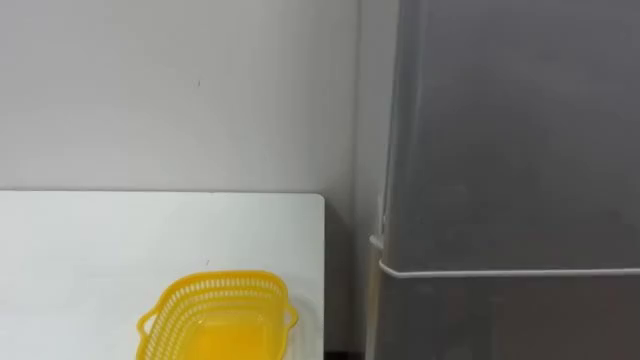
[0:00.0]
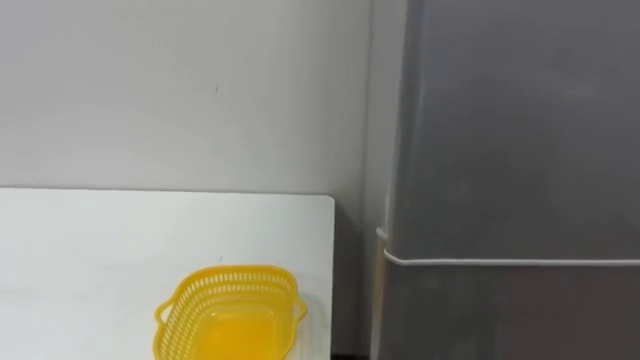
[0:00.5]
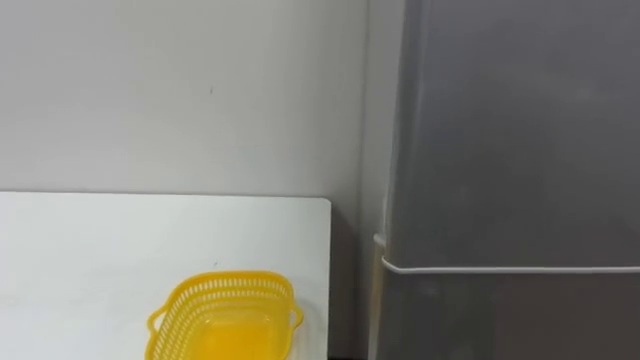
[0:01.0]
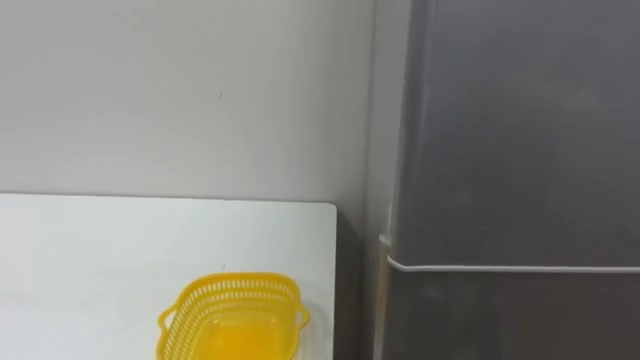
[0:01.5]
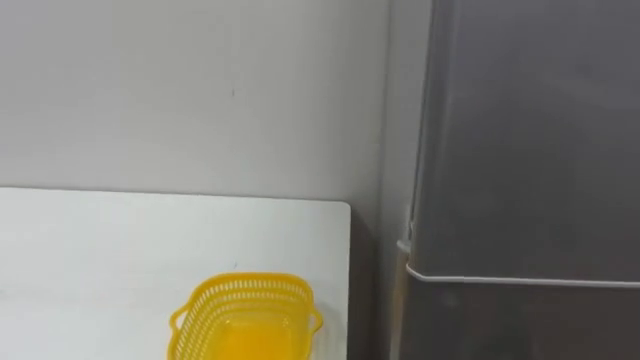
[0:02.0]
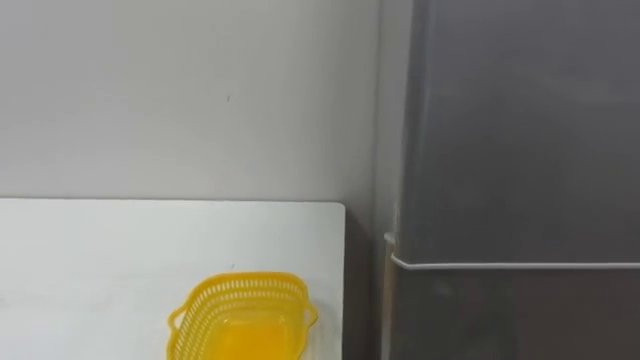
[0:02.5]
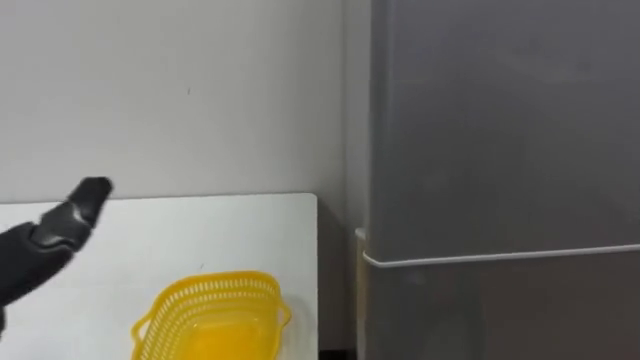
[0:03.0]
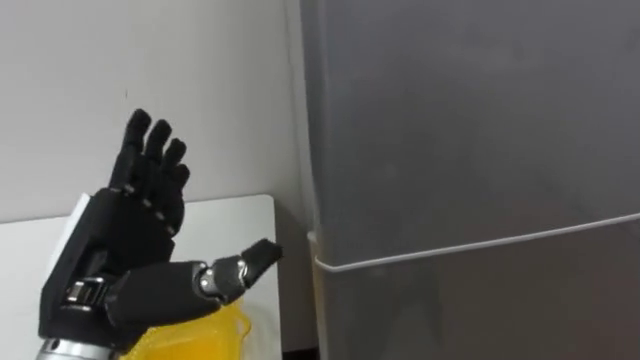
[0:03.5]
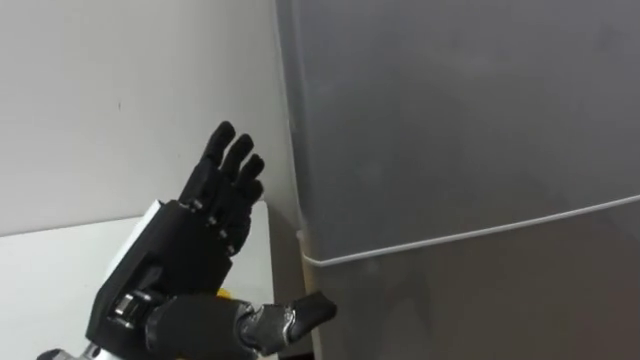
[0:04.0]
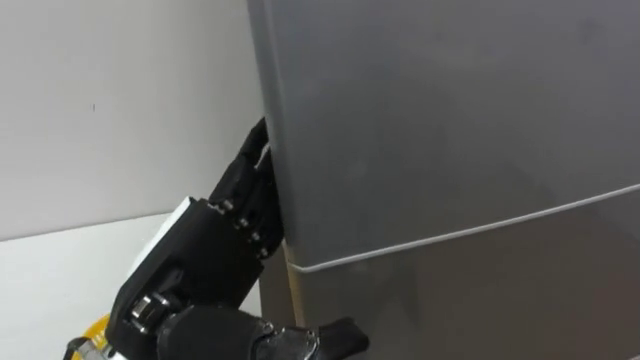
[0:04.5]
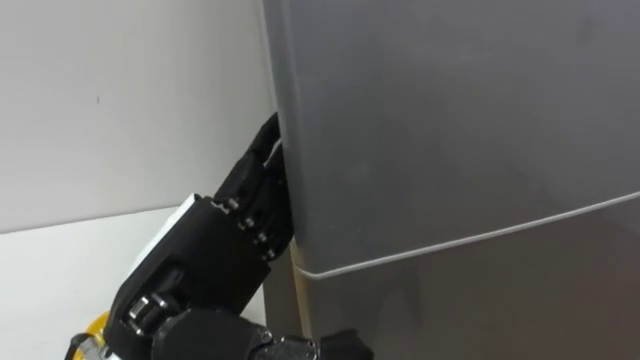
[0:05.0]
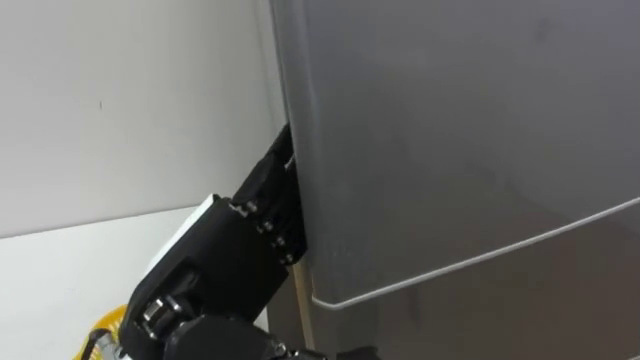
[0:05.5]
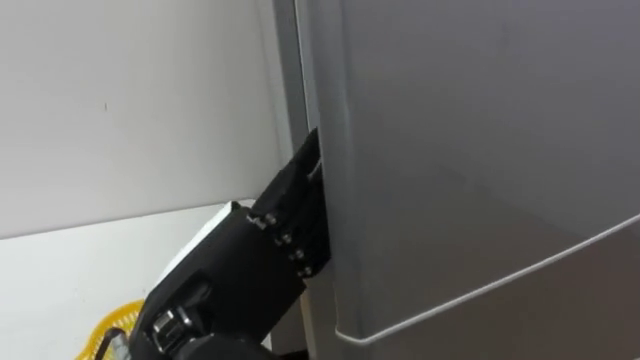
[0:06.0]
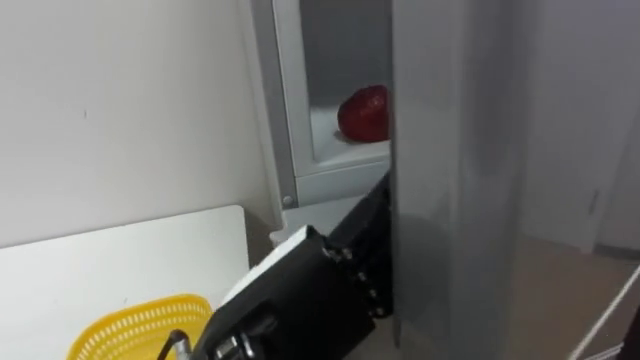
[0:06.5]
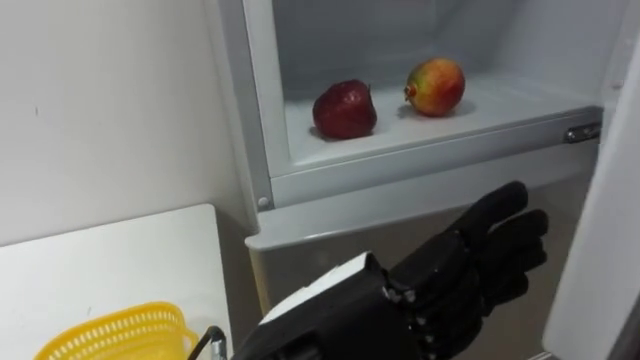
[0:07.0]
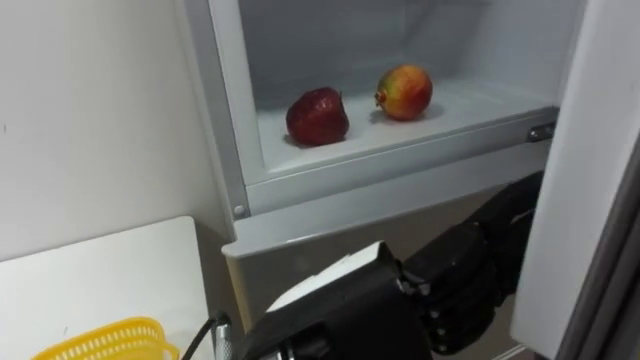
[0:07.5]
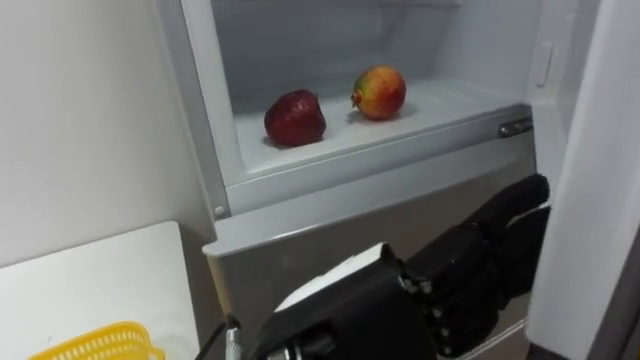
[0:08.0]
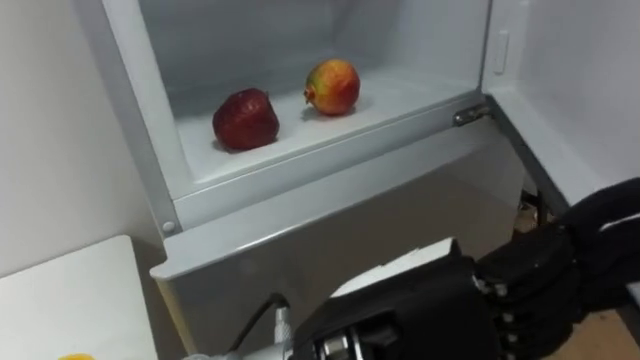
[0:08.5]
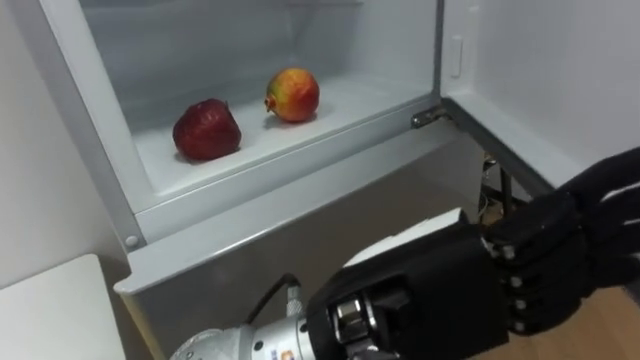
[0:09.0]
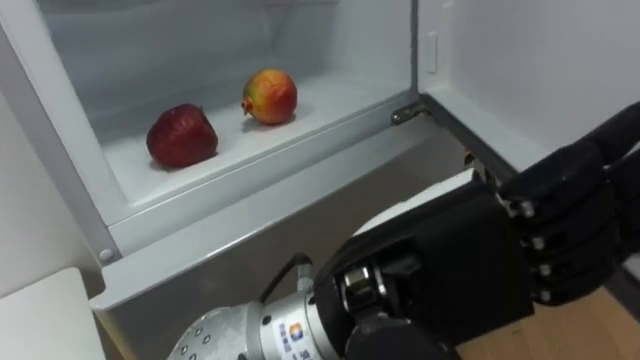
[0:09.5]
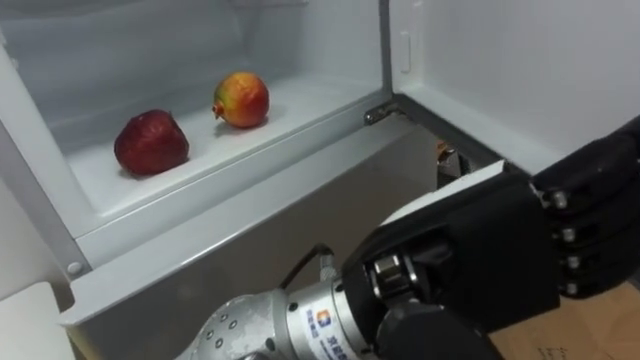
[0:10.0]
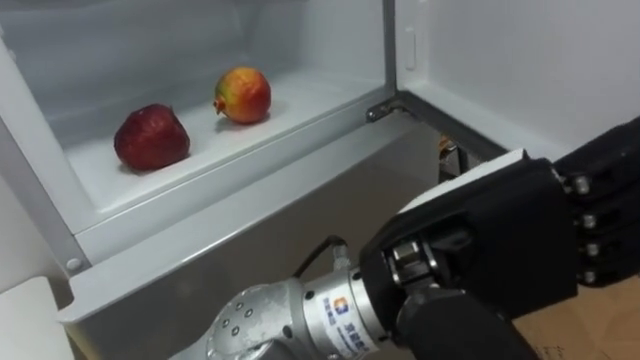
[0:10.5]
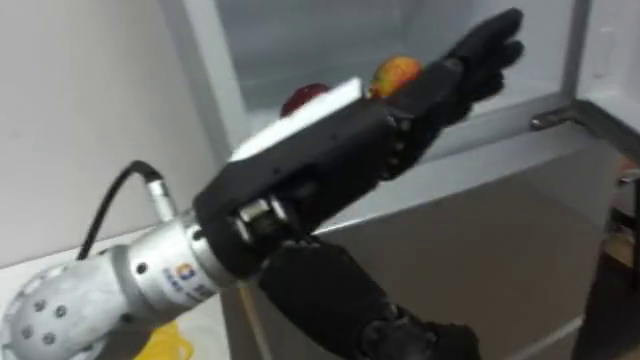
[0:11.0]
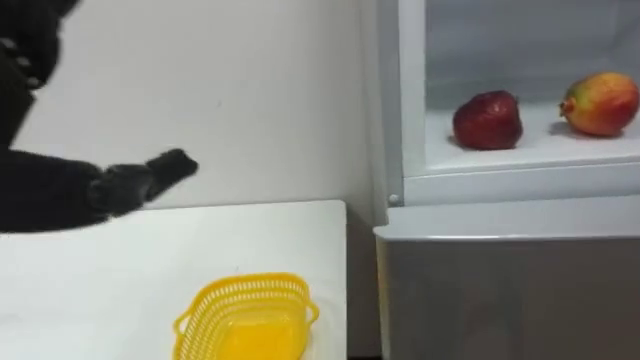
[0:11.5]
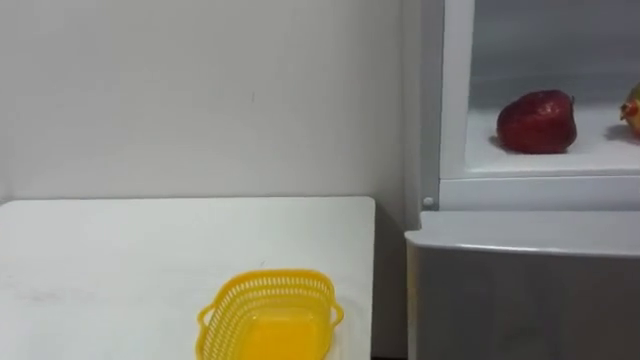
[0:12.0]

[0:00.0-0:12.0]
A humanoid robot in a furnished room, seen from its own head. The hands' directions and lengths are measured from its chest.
Task of the whole recording: Open the refrigerator door, take out the apple and the pomegranate, place them in the fruit basket on the left, and close the refrigerator door.
0:04.0 to 0:06.0: The left hand goes approximately 5 cm to the right.
0:06.0 to 0:08.0: The left hand travels to the right by about 10 cm.
0:08.0 to 0:10.0: The left hand travels to the right and upward by some 10 cm.

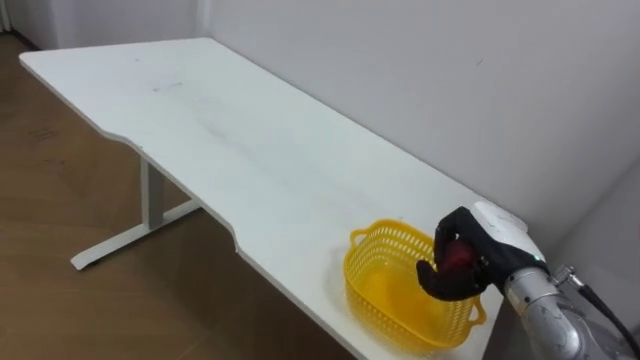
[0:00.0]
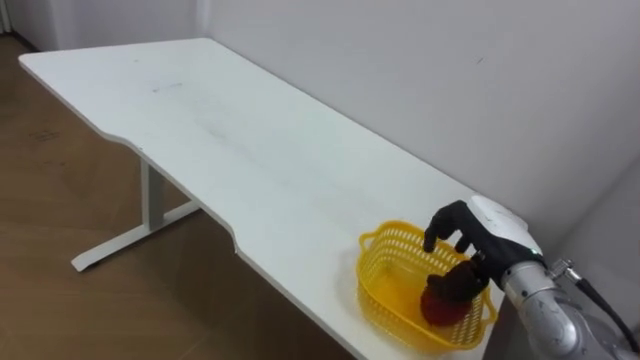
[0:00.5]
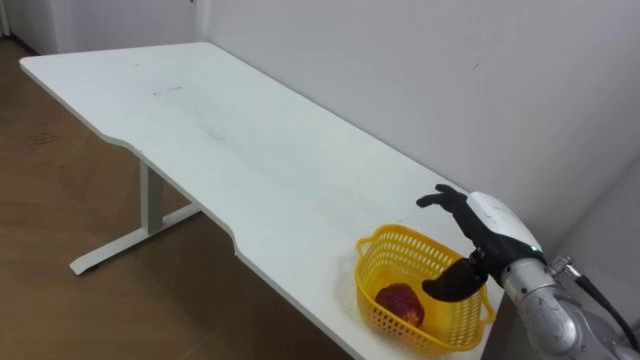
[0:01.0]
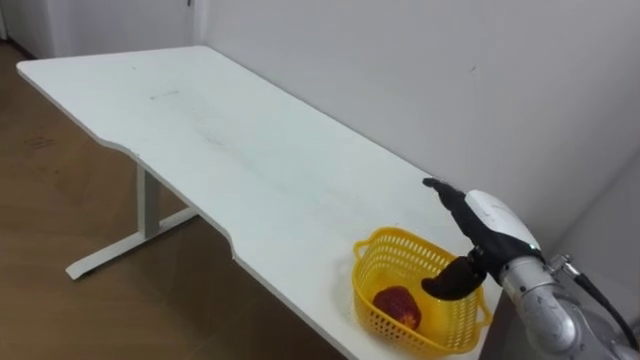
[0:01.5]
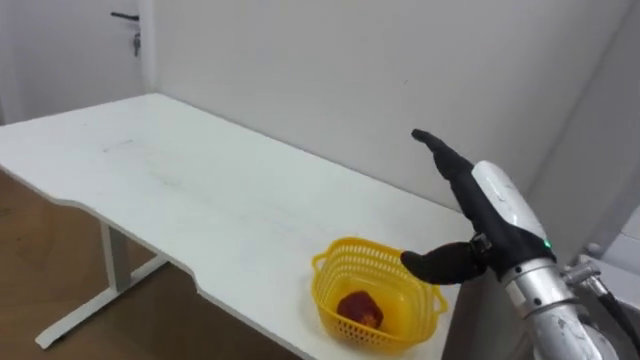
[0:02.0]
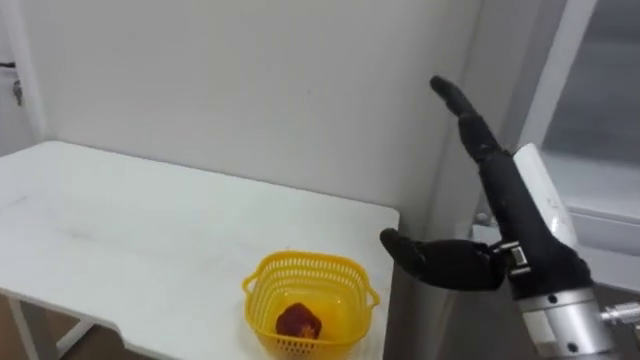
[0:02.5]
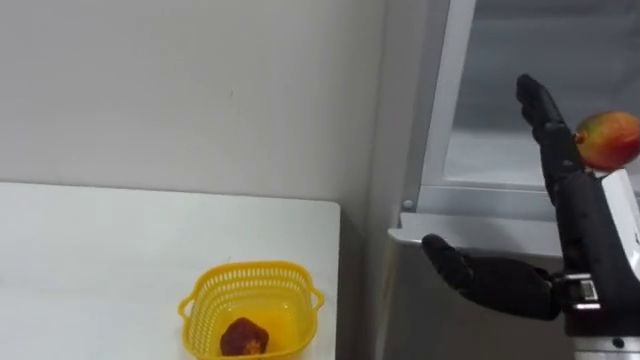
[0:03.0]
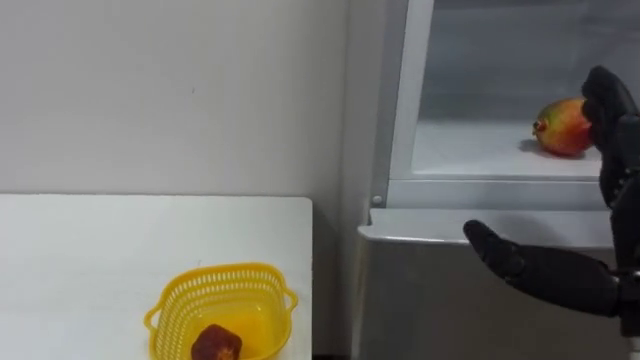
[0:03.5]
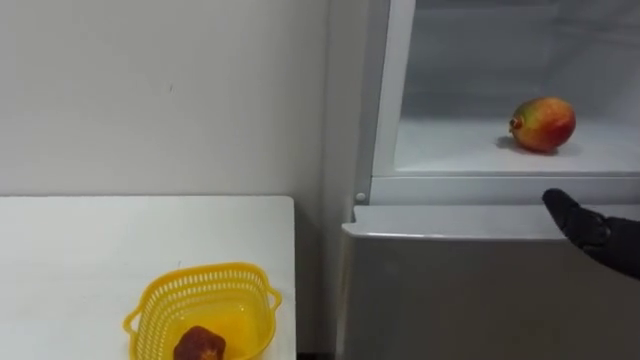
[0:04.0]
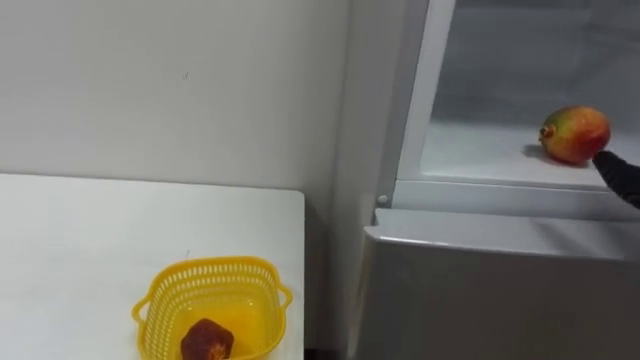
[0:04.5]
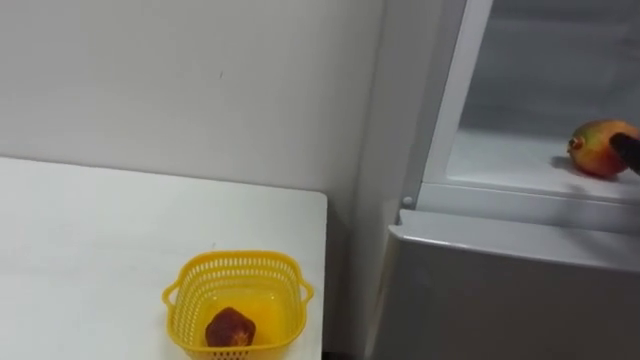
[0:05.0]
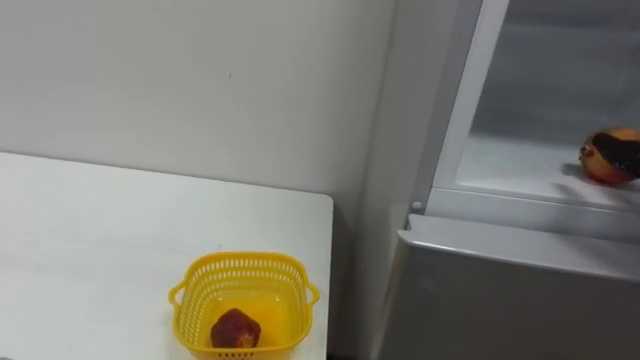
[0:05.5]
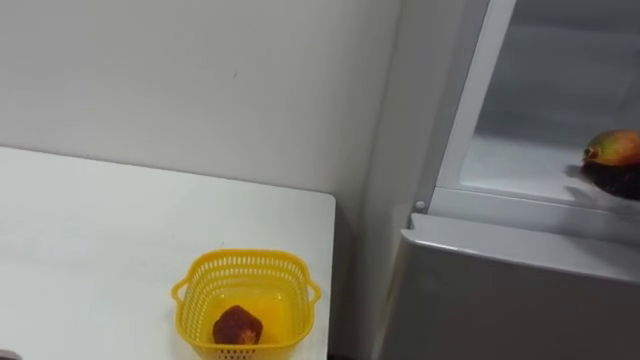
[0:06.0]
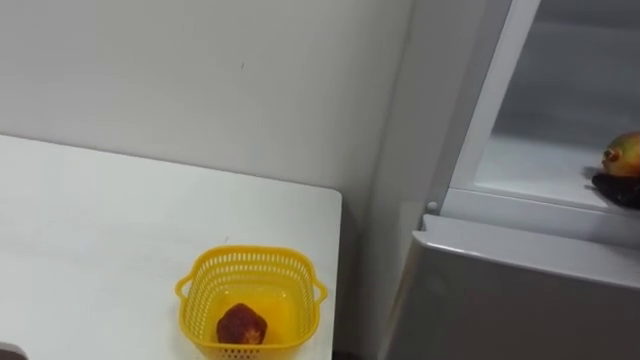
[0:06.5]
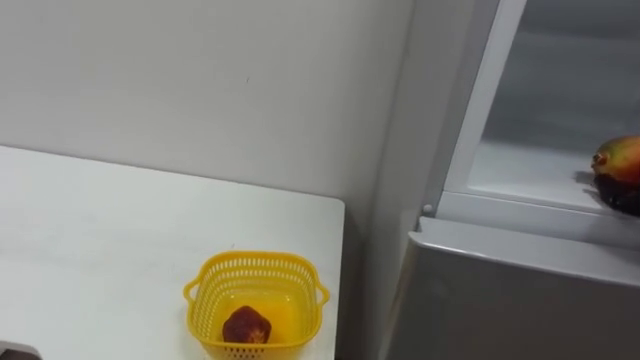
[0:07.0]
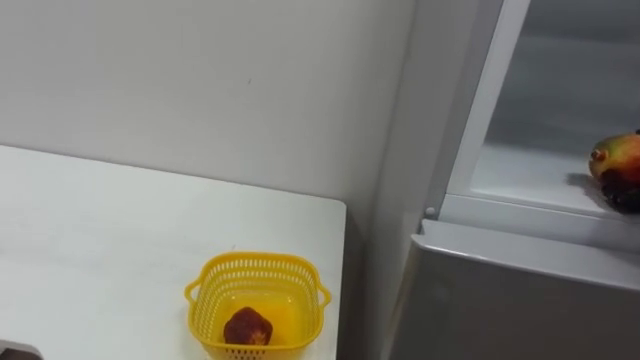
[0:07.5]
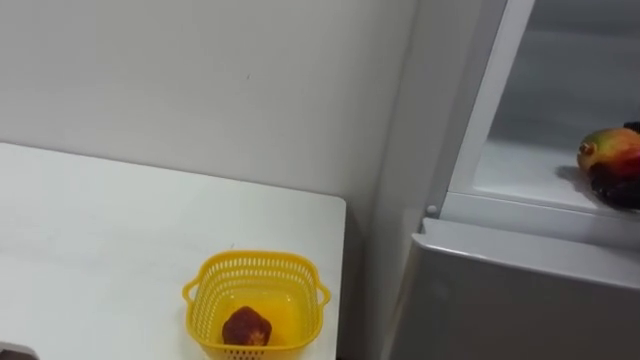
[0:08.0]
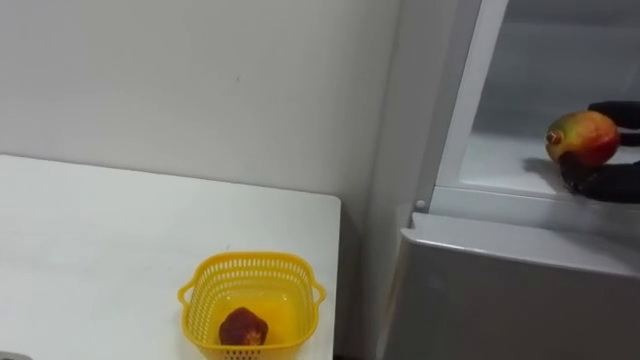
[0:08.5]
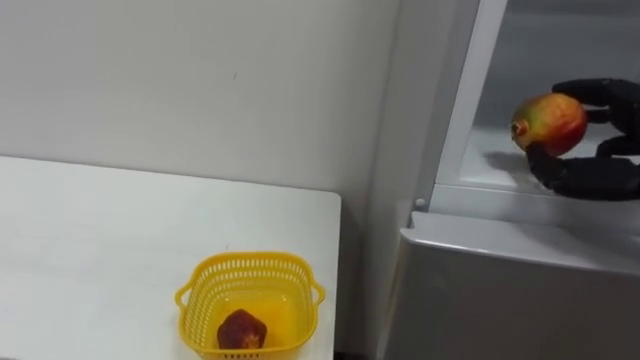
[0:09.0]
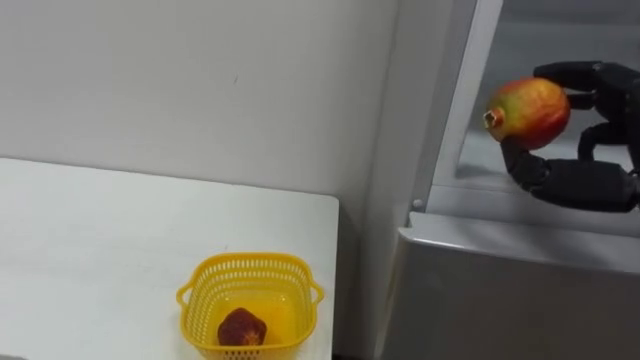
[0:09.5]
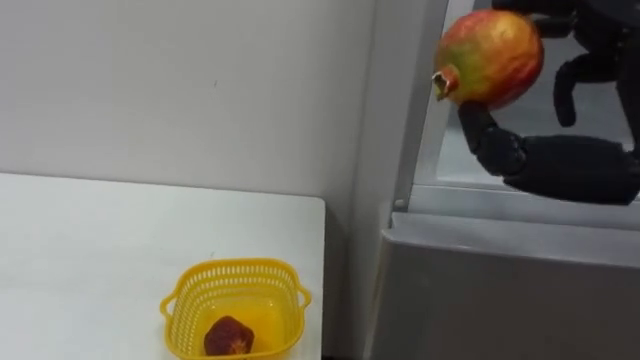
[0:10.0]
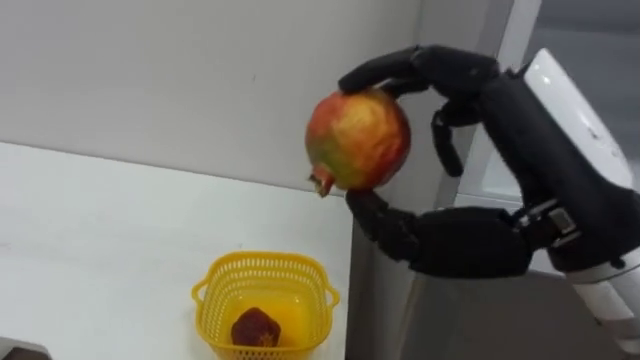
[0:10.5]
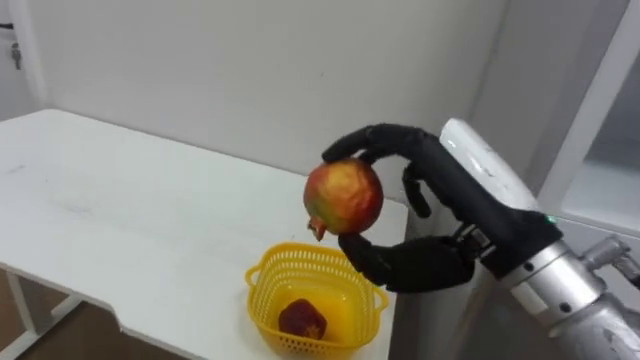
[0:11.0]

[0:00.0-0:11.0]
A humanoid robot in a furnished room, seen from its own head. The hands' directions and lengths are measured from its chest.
Task of the whole recording: Open the refrigerator door, take out the apple and the pomegranate, place them in the fruit basket on the left, and close the refrigerator door.
0:00.0 to 0:02.0: The right hand shifts approximately 10 cm upward, and opens up.
0:02.0 to 0:03.5: The right hand moves backward and to the right, about 15 cm.
